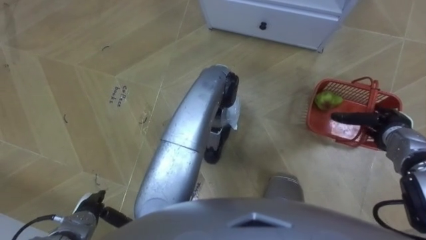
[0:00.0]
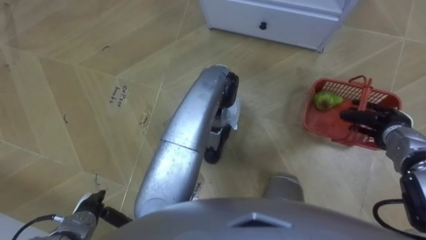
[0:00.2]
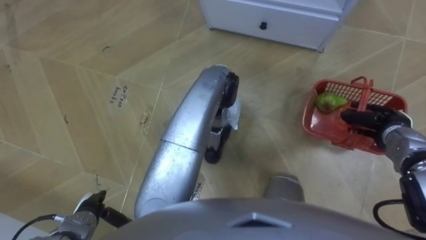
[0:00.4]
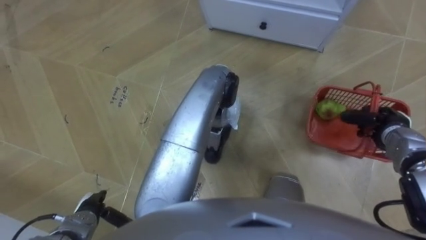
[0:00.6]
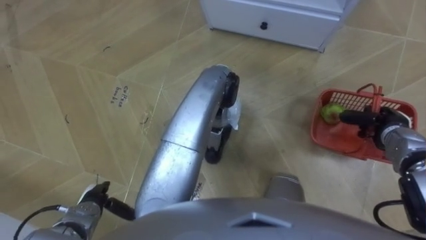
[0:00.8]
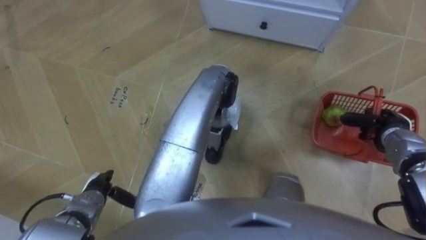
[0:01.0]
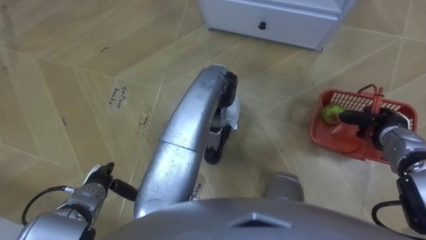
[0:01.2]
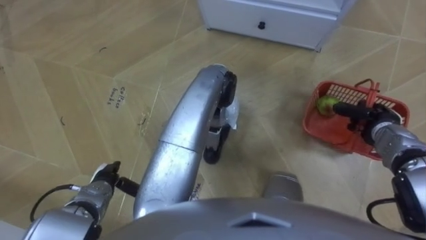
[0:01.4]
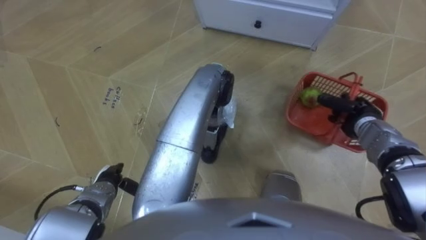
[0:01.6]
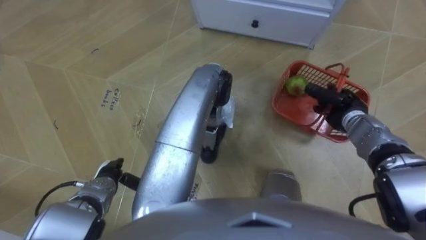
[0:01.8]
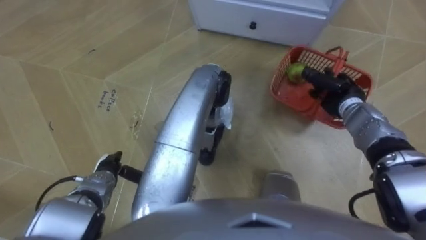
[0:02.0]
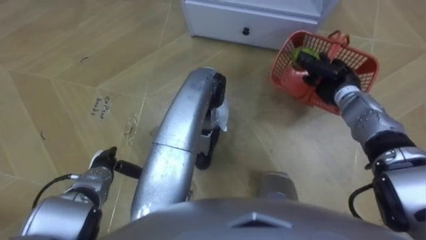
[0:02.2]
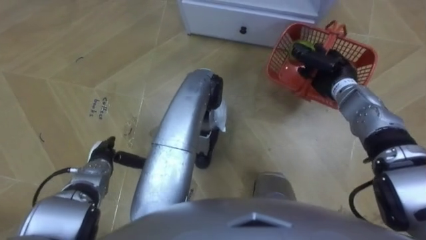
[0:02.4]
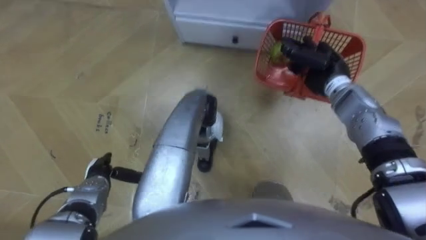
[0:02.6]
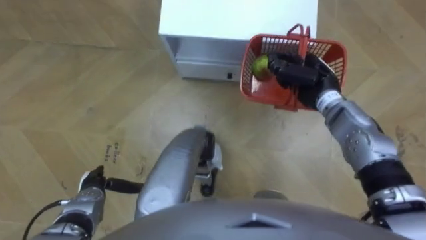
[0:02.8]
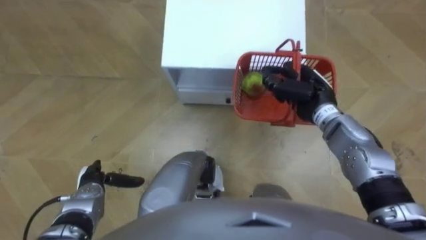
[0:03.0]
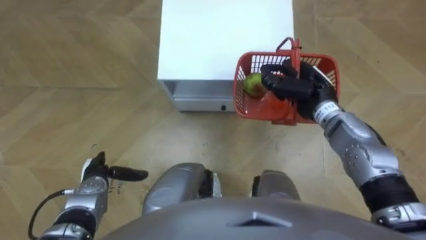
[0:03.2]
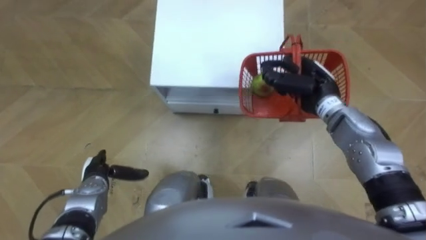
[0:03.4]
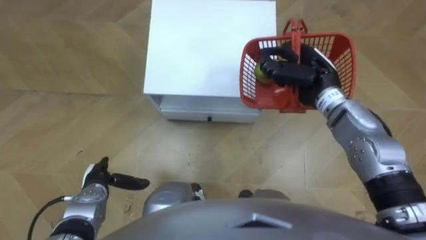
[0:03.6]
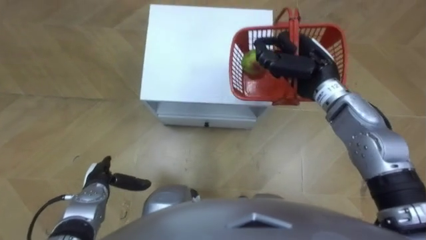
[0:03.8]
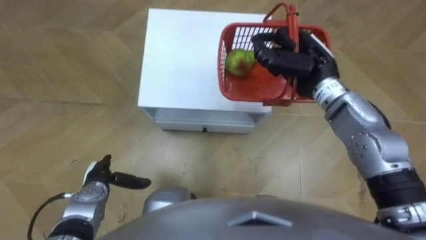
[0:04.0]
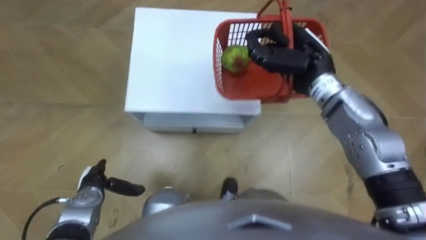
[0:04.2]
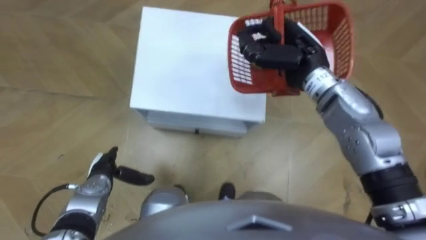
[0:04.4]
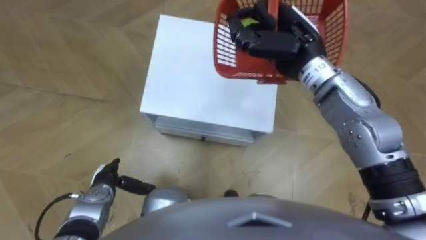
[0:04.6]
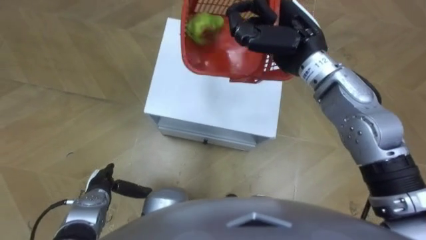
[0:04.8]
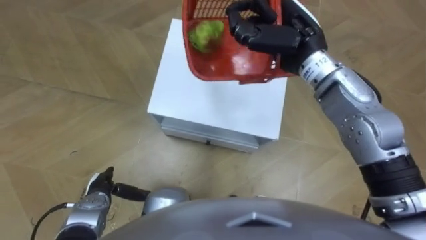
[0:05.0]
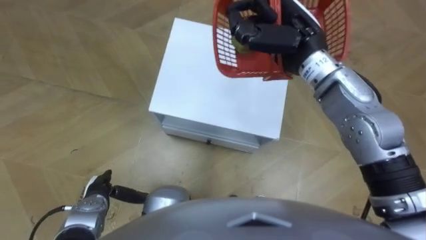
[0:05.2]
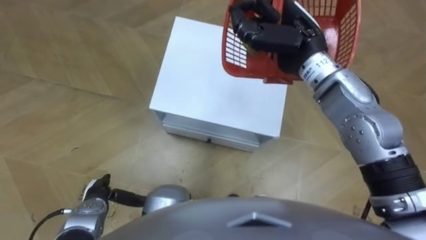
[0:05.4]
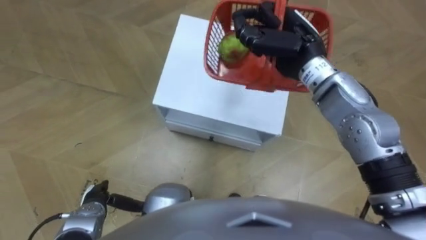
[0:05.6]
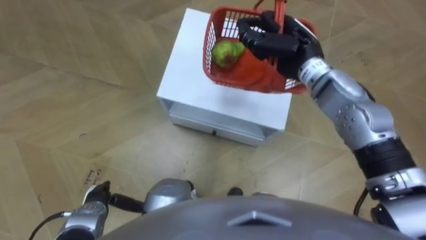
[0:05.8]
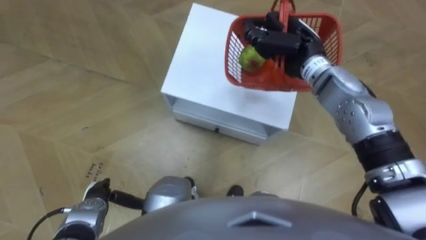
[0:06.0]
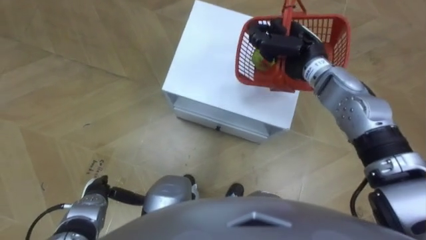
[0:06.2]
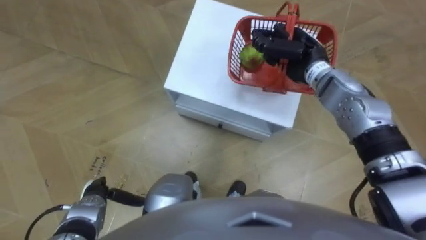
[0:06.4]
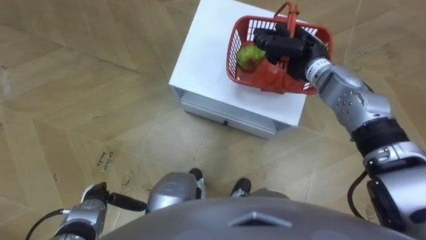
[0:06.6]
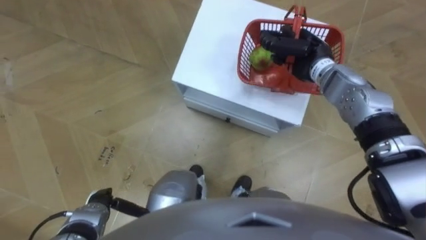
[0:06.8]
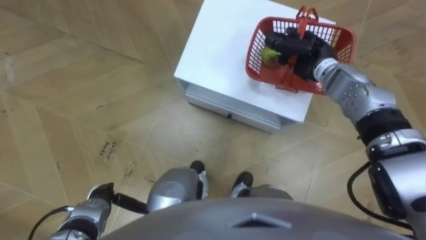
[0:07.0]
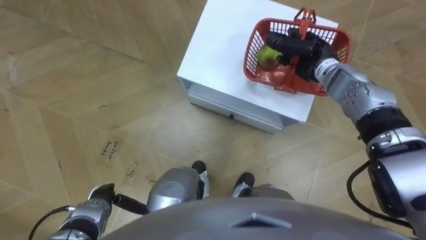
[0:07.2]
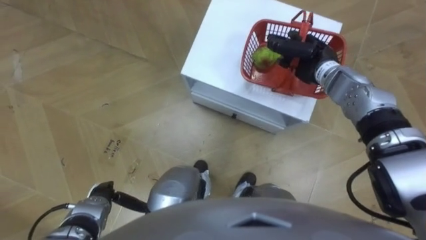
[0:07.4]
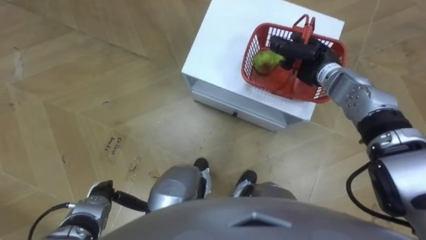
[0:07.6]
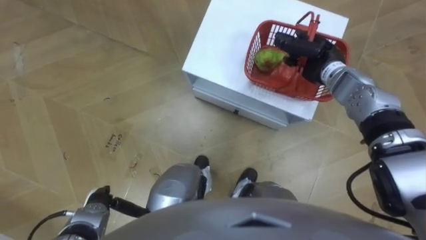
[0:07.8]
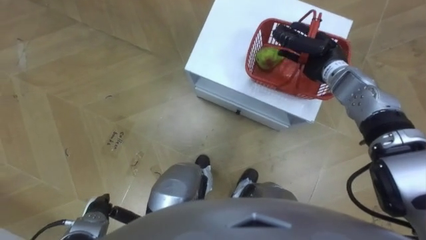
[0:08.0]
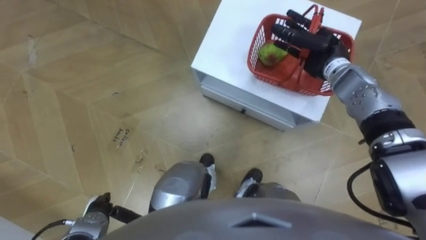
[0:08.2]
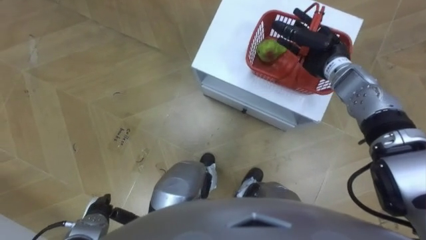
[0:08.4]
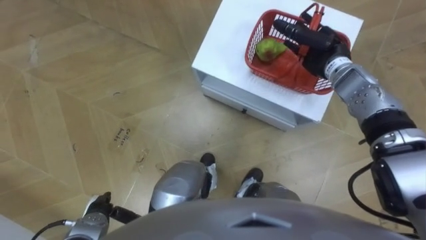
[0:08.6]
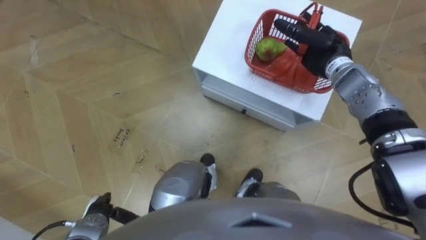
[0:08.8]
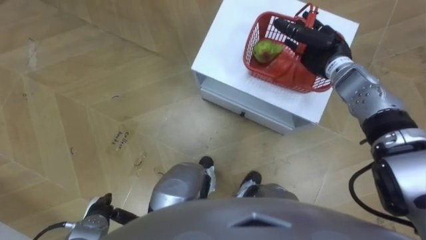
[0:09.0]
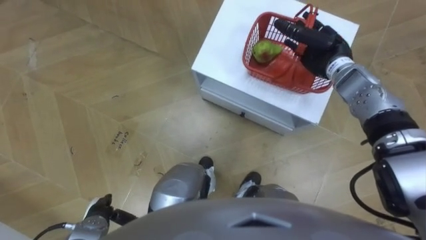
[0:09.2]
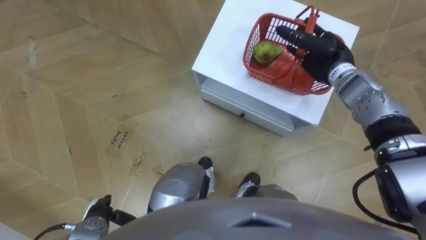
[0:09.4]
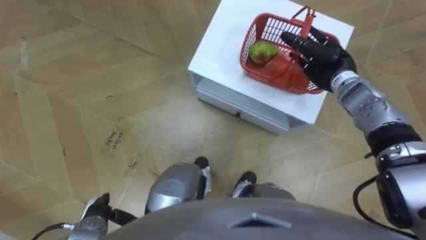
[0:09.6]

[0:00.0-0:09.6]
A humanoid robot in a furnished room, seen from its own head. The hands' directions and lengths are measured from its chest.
Task of the whole recording: Pick up the fruit basket from the floor and place it on the cabinet.
0:00.0 to 0:01.6: The right hand travels to the left by some 5 cm, and closes its fingers. Meanwhile the left hand shifts some 5 cm forward.
0:01.6 to 0:03.2: The right hand is displaced to the left and upward by roughly 15 cm.
0:03.2 to 0:04.8: The right hand moves upward and to the left, some 15 cm.
0:04.8 to 0:06.4: The right hand is displaced downward by roughly 10 cm.
0:06.4 to 0:08.0: The right hand ends up about 5 cm from where it was.
0:08.0 to 0:09.6: The right hand opens its fingers.

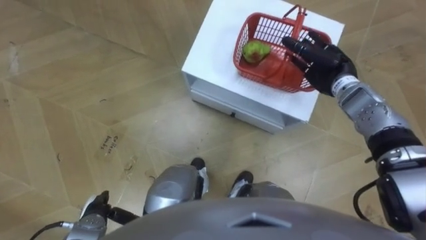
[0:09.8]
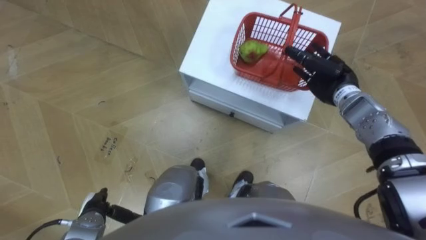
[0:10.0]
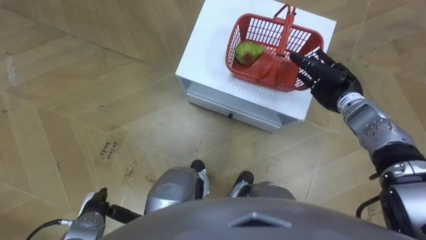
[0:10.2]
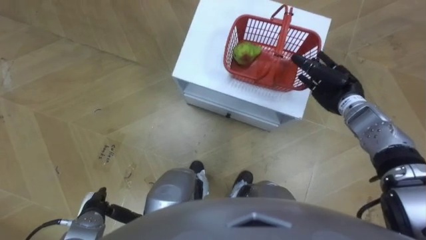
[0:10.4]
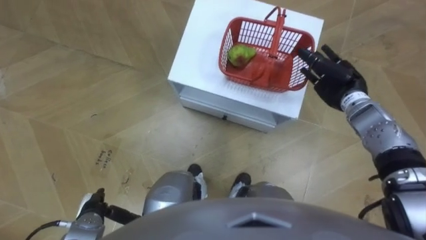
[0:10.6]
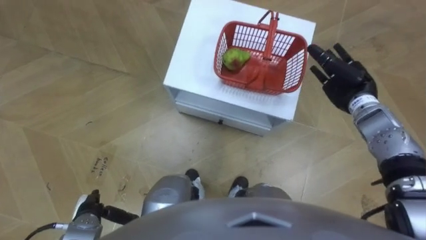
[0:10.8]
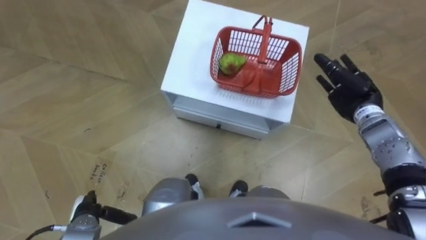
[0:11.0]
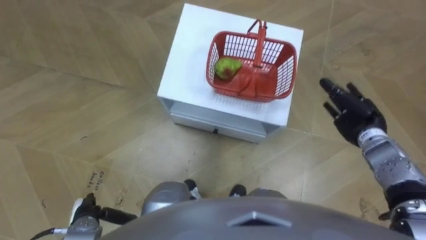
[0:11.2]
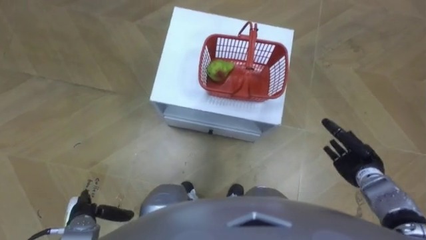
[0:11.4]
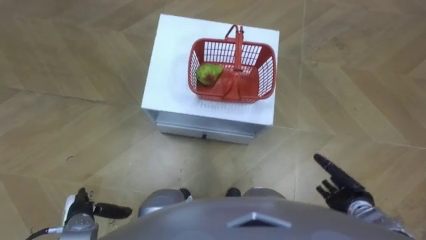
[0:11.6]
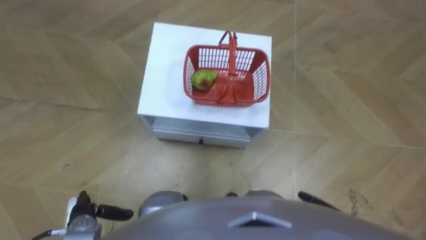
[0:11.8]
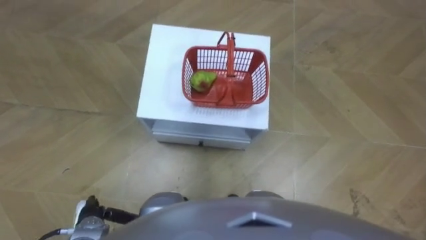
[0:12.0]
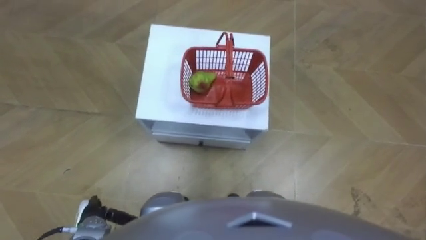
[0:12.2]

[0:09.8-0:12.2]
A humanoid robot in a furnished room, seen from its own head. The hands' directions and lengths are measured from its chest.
Task of the whole recording: Pick up the fruit basket from the floor and place it on the cabinet.
0:09.8 to 0:11.0: The right hand travels to the right and backward by roughly 10 cm.
0:11.0 to 0:12.2: The right hand shifts approximately 30 cm backward and downward.

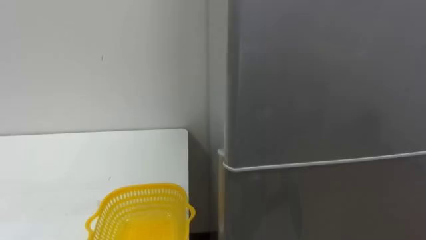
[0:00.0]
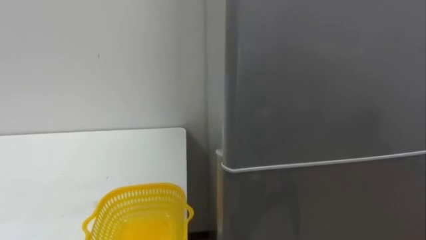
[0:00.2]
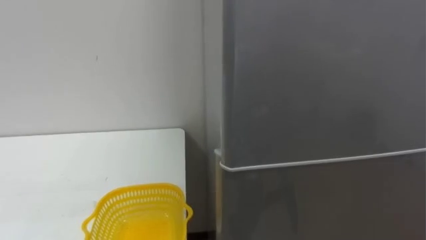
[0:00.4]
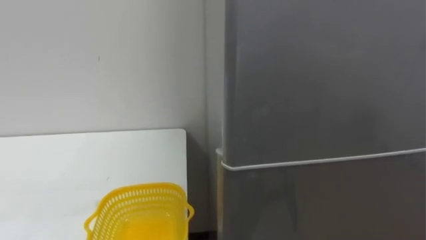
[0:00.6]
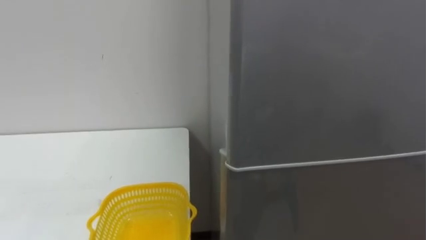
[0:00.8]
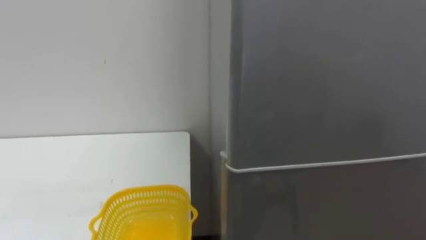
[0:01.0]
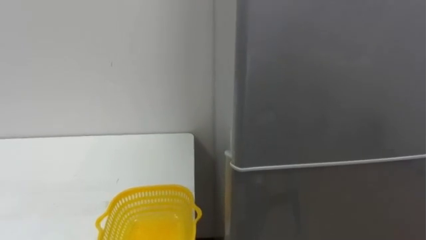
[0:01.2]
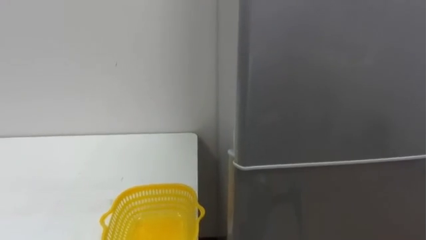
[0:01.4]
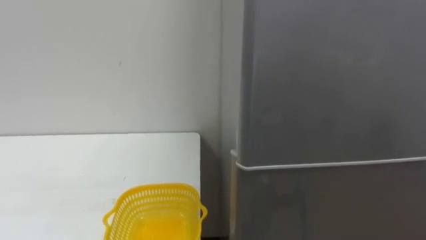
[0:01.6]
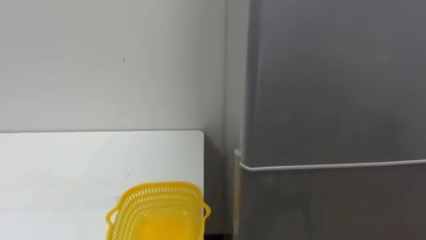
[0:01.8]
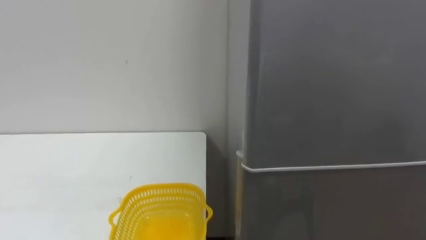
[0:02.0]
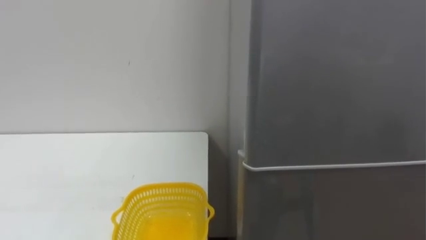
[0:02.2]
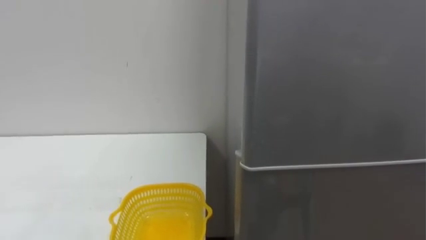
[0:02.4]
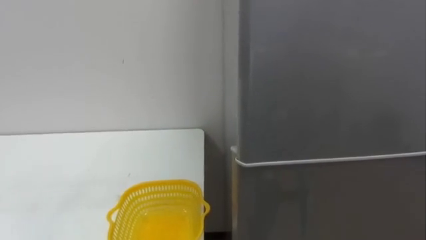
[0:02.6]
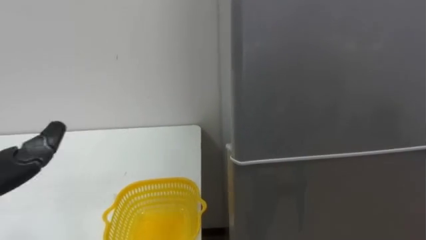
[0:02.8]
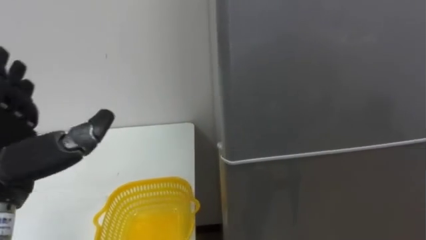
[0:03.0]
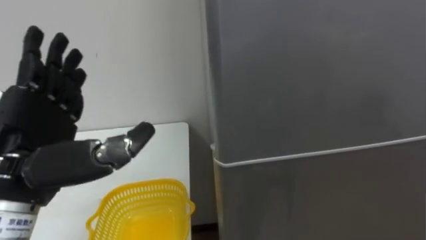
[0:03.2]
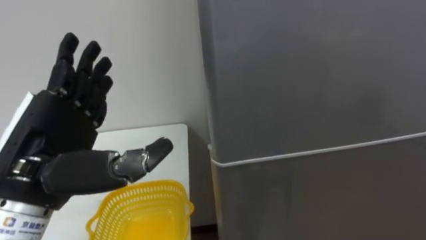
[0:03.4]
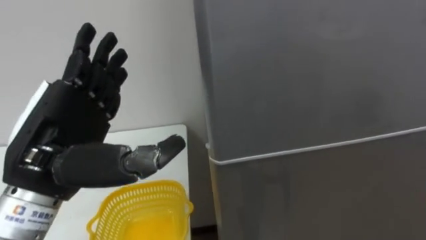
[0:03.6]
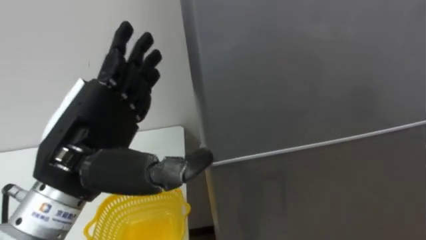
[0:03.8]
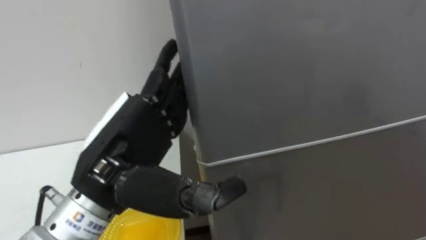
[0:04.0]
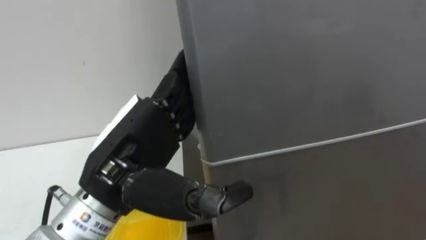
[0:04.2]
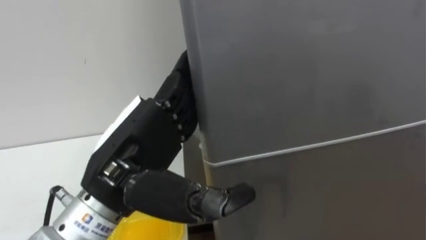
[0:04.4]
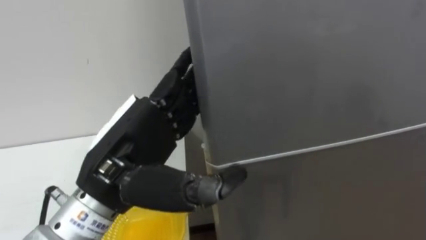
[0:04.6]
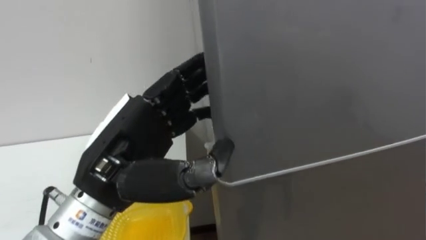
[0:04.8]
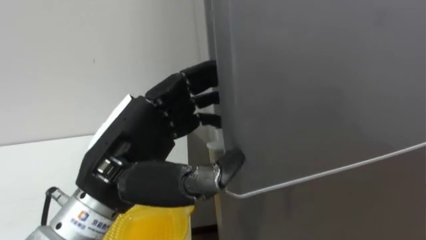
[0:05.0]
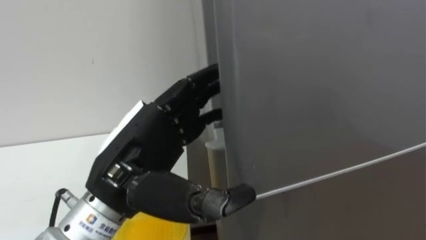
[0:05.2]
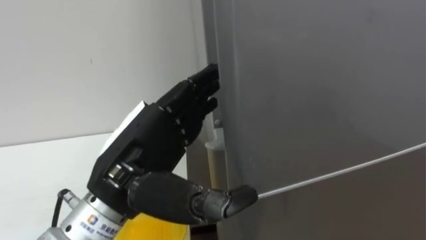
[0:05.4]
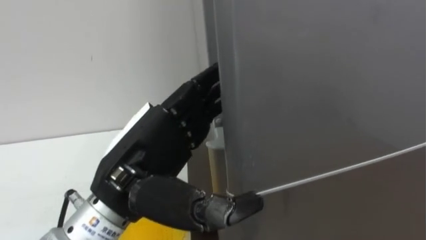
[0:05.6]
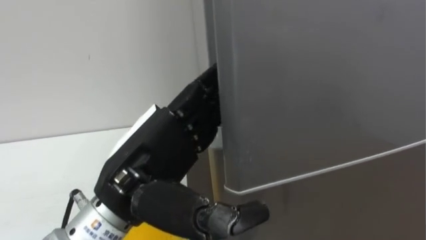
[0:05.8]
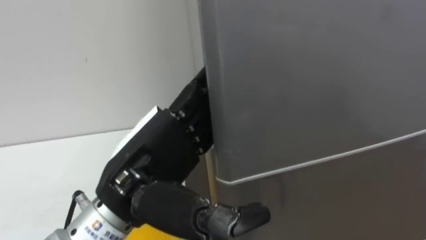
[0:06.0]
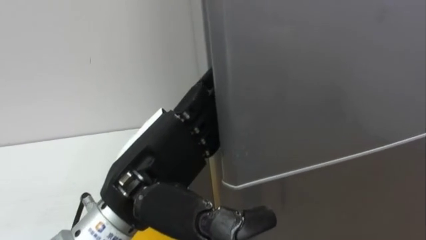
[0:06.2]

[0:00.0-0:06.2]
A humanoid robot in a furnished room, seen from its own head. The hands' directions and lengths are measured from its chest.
Task of the whole recording: Open the refrigerator door, take out the apple and the pomegranate, place them in the fruit basket on the left, and close the refrigerator door.
0:03.2 to 0:04.6: The left hand travels to the right by some 10 cm.
